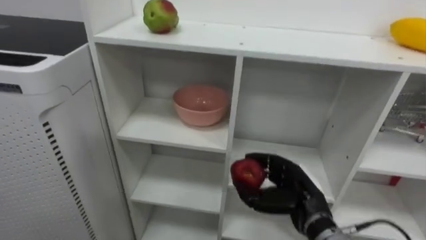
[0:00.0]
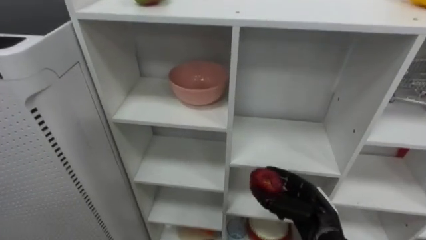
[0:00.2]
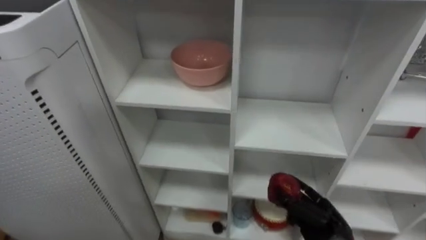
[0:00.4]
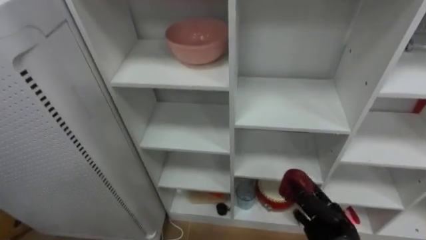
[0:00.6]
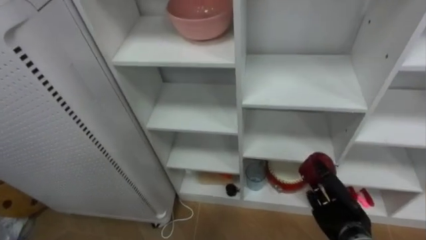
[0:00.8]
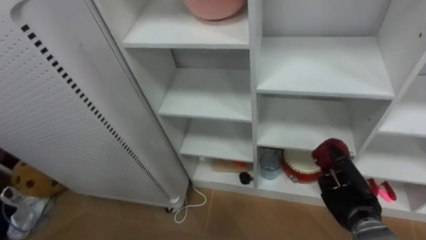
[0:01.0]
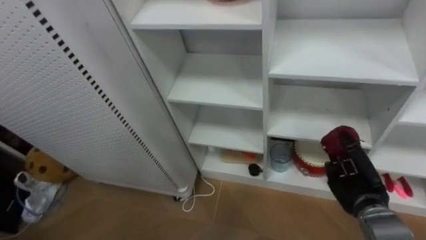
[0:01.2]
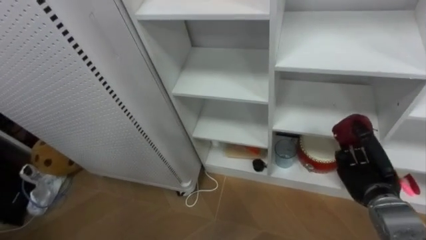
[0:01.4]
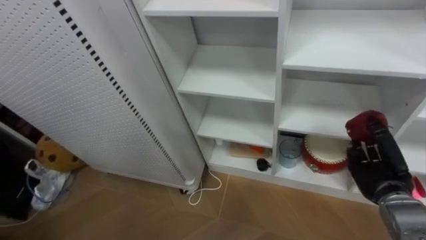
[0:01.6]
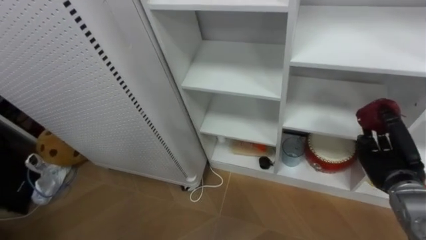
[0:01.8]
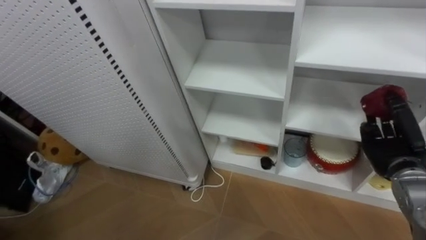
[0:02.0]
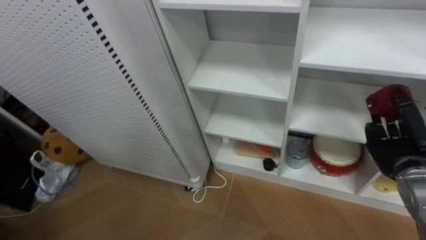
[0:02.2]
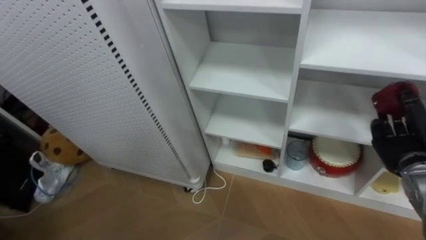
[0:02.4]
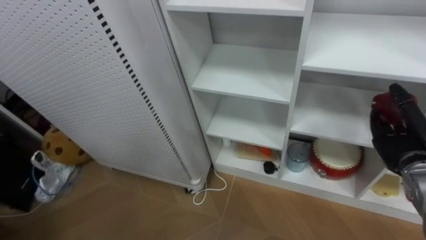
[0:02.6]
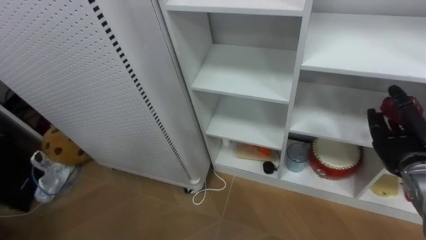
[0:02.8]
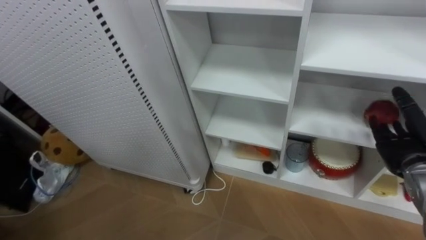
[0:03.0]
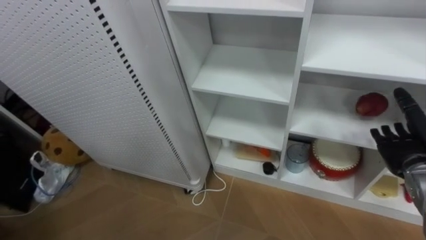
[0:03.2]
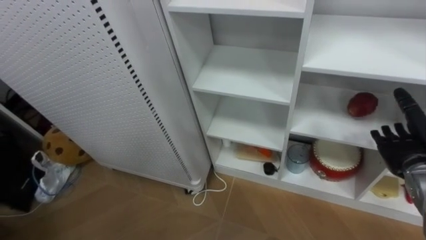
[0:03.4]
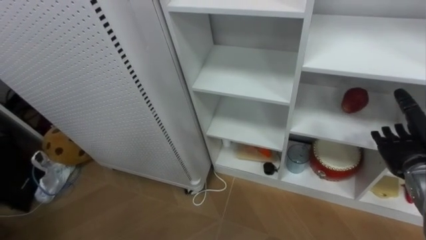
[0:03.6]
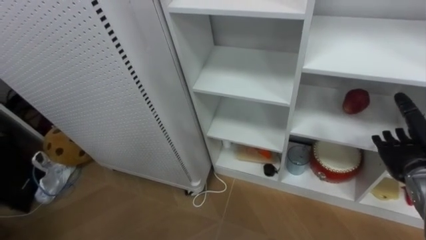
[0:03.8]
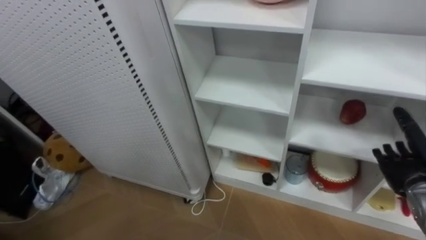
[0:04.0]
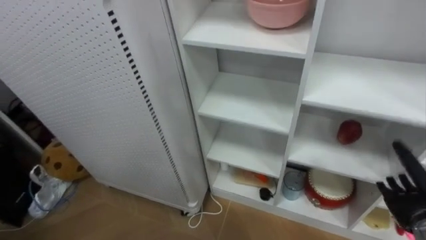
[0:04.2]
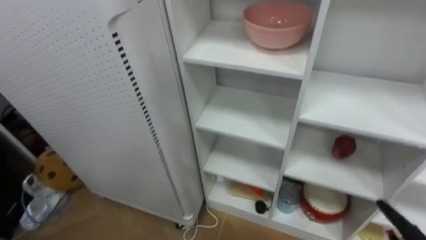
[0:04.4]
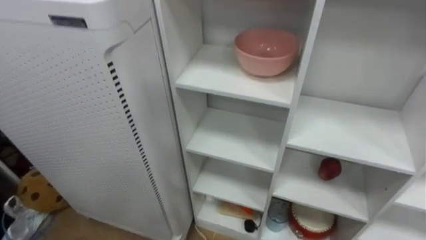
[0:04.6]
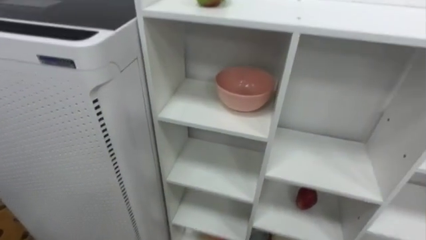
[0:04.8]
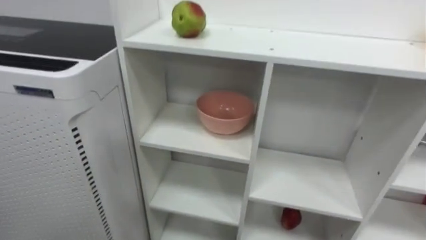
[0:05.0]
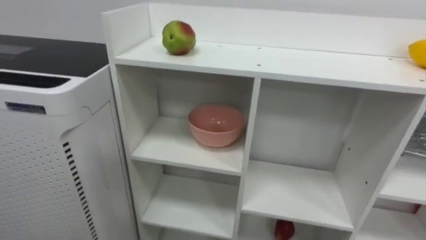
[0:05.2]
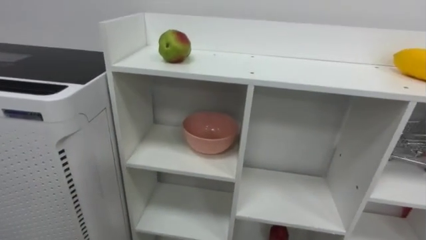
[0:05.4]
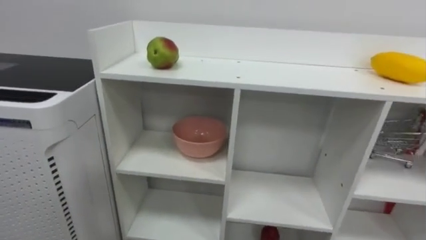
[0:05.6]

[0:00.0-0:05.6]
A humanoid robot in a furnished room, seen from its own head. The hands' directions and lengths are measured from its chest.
Task of the whole recording: Put the apple in the cell in the second column from the left and the second row from the top.
0:00.0 to 0:01.4: The right hand moves to the right, roughly 15 cm.
0:01.4 to 0:02.8: The right hand goes some 10 cm upward and to the right, and opens its fingers.
0:02.8 to 0:04.2: The right hand shifts approximately 10 cm downward.

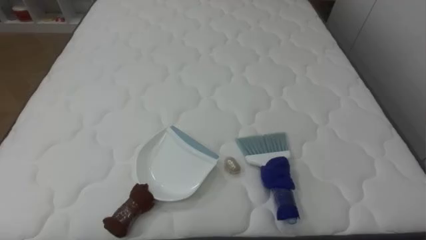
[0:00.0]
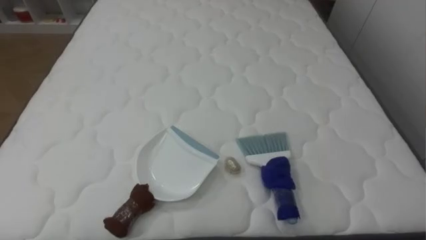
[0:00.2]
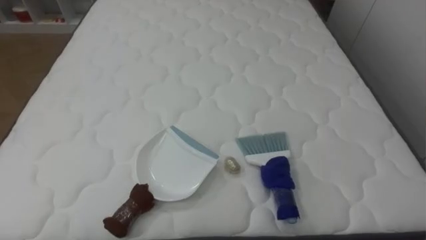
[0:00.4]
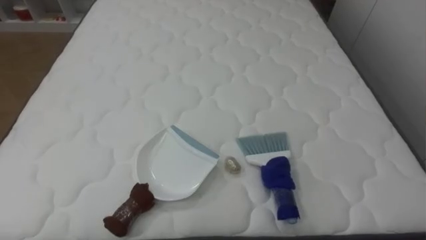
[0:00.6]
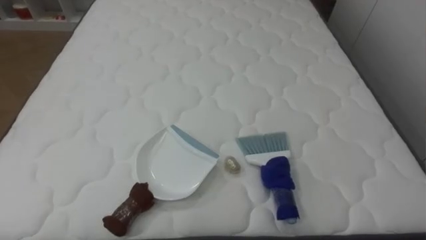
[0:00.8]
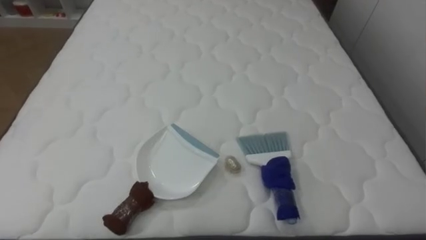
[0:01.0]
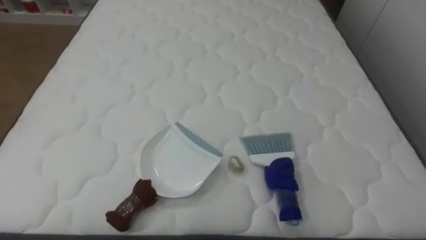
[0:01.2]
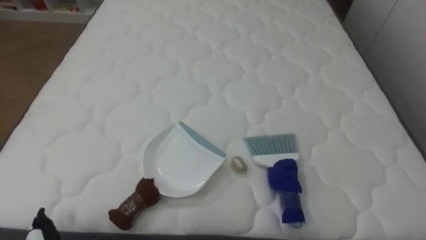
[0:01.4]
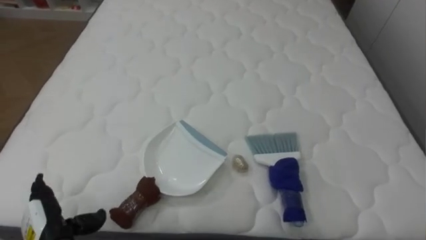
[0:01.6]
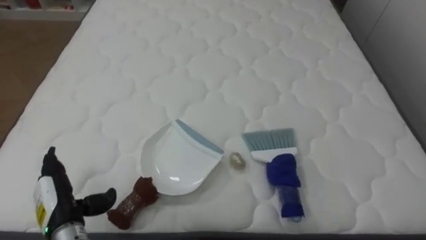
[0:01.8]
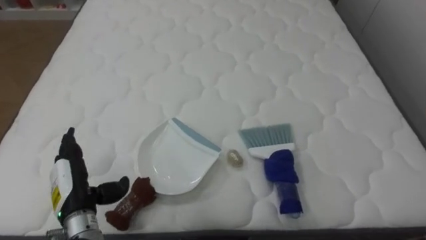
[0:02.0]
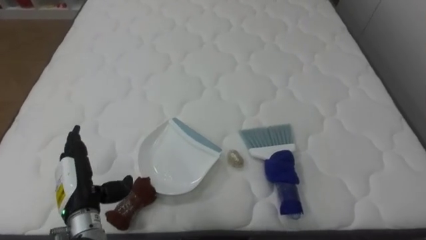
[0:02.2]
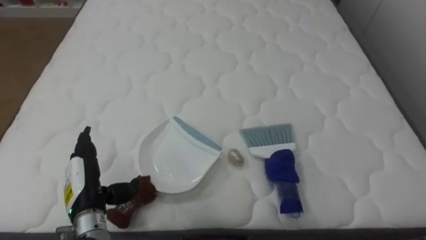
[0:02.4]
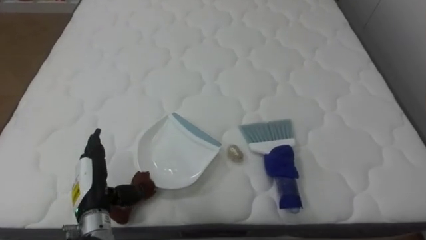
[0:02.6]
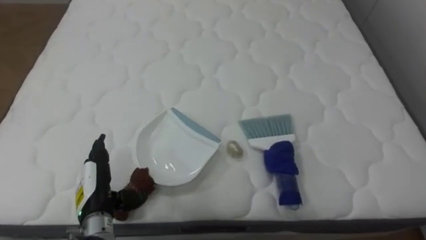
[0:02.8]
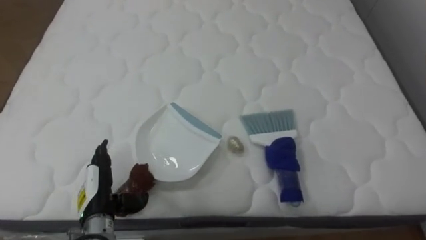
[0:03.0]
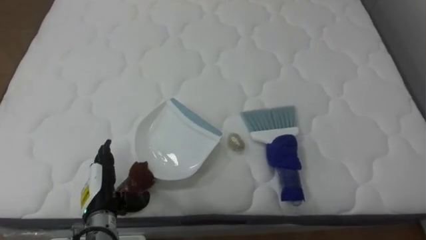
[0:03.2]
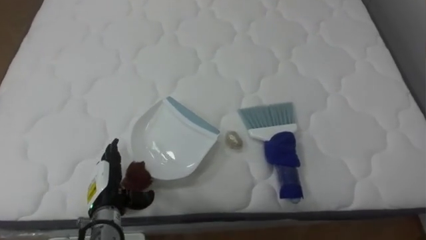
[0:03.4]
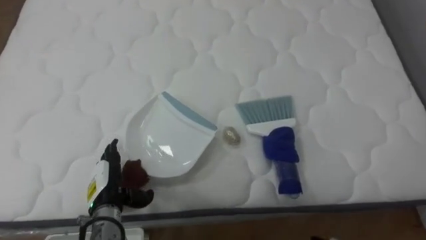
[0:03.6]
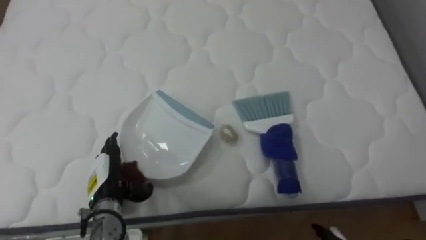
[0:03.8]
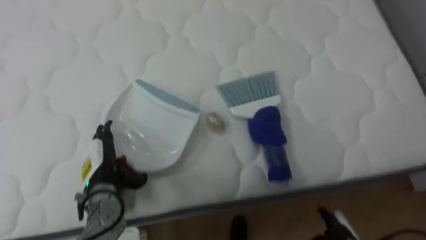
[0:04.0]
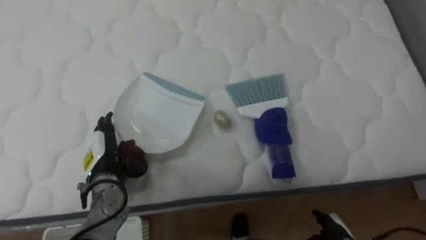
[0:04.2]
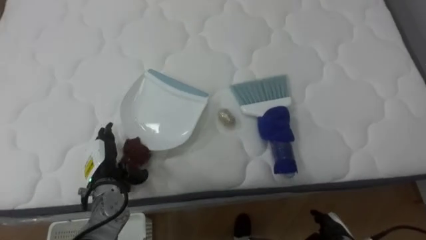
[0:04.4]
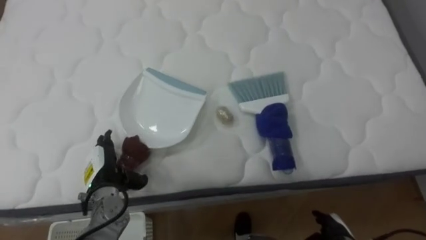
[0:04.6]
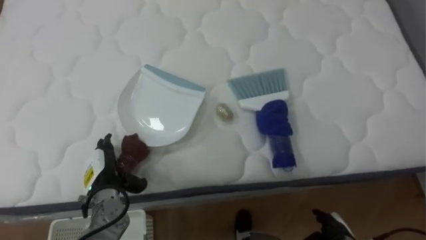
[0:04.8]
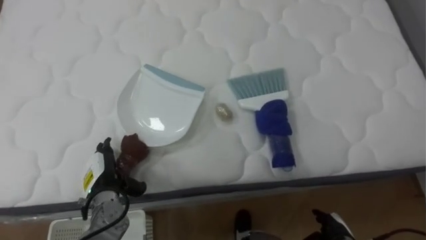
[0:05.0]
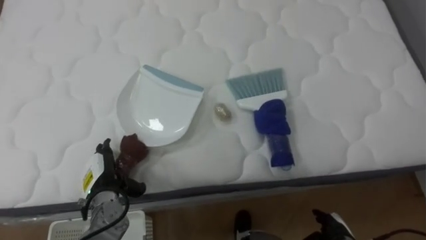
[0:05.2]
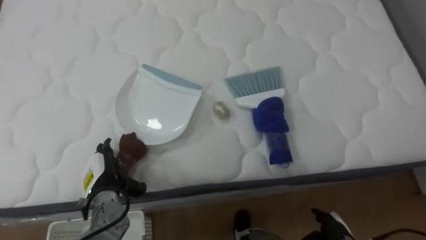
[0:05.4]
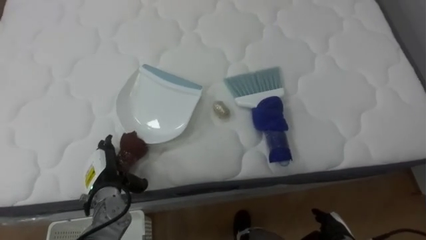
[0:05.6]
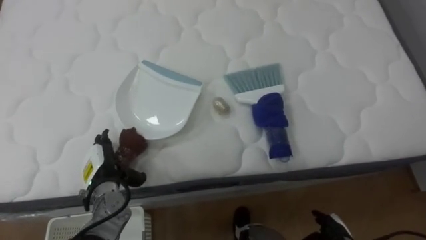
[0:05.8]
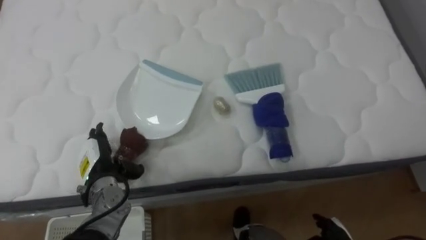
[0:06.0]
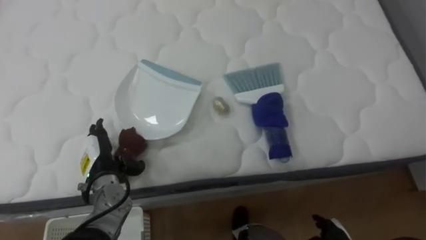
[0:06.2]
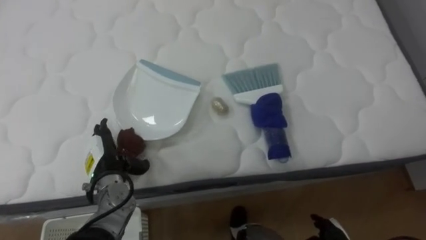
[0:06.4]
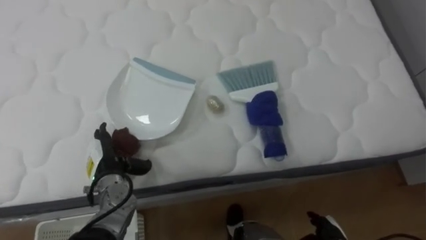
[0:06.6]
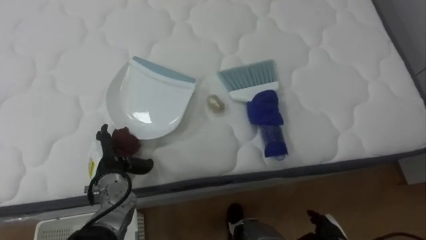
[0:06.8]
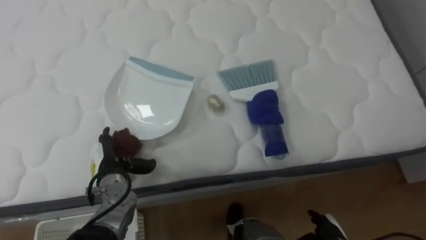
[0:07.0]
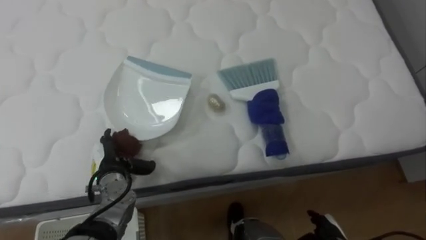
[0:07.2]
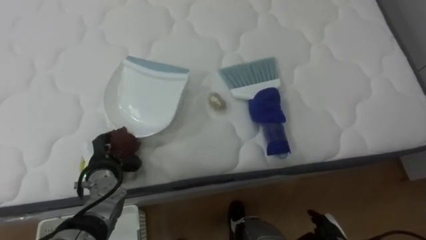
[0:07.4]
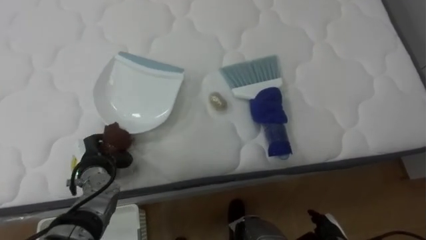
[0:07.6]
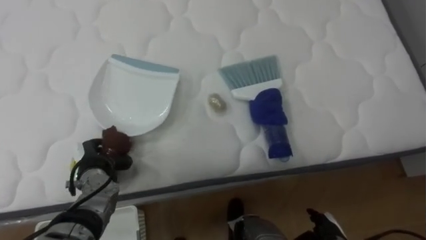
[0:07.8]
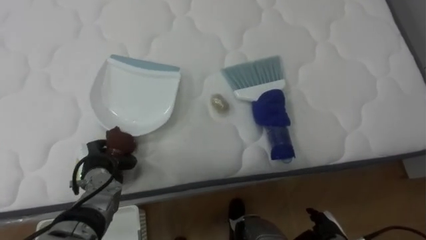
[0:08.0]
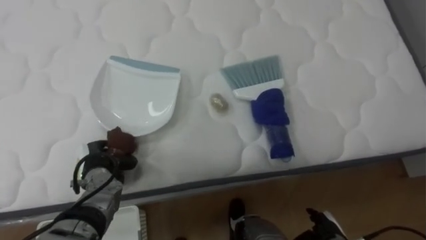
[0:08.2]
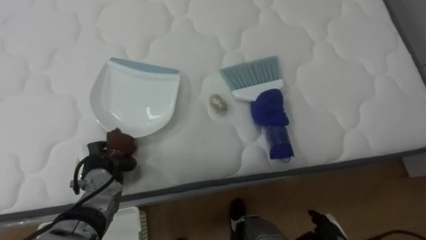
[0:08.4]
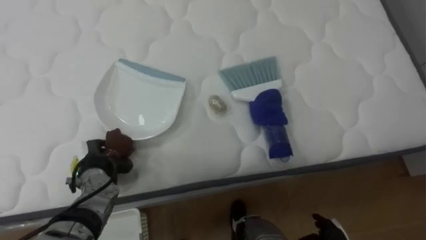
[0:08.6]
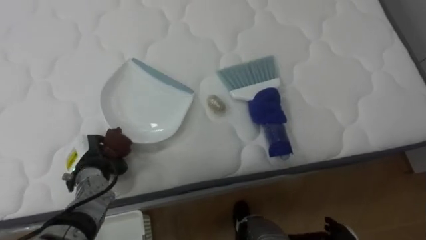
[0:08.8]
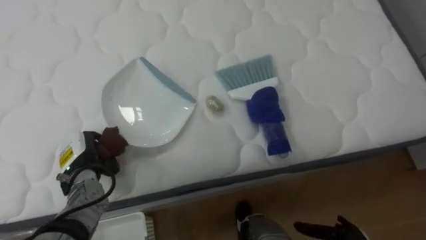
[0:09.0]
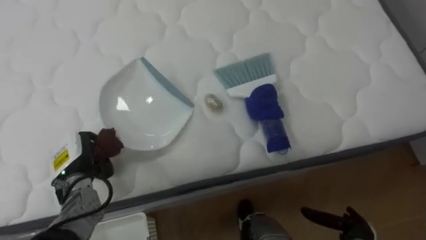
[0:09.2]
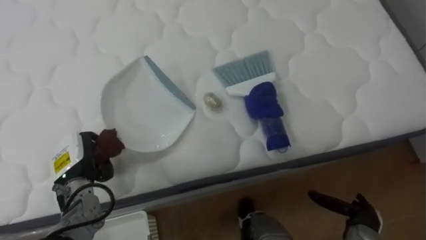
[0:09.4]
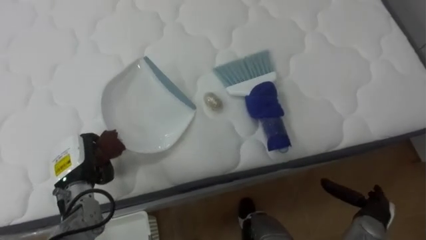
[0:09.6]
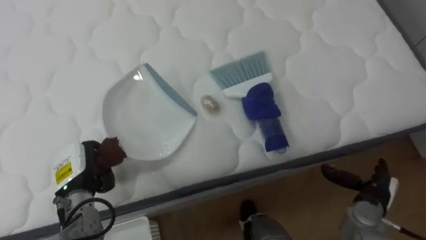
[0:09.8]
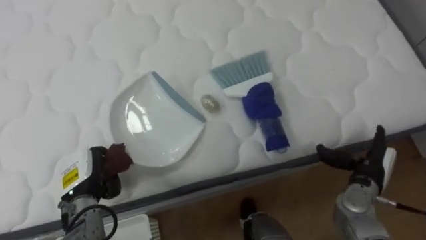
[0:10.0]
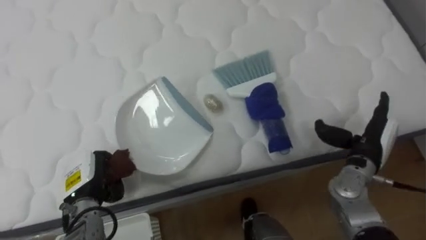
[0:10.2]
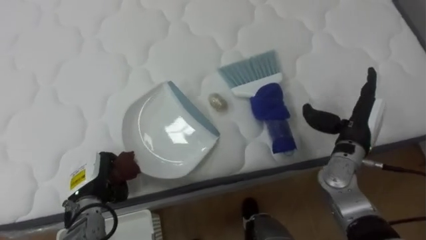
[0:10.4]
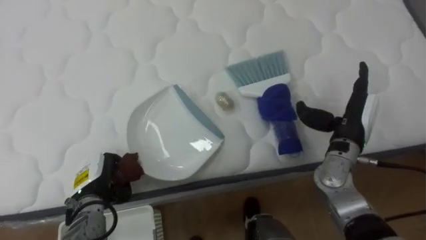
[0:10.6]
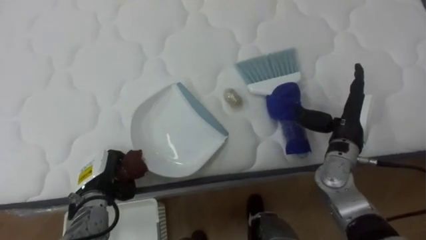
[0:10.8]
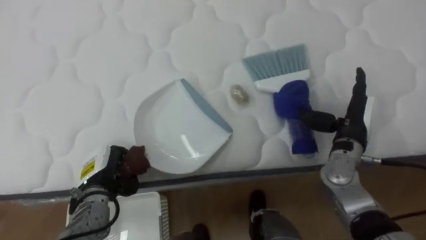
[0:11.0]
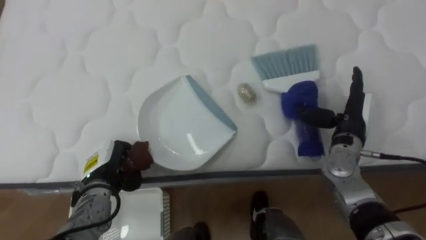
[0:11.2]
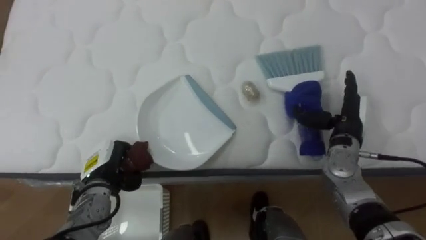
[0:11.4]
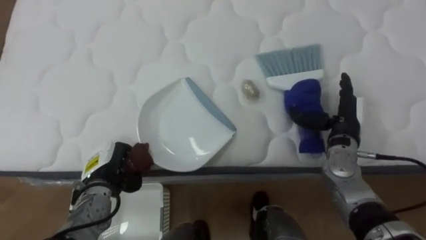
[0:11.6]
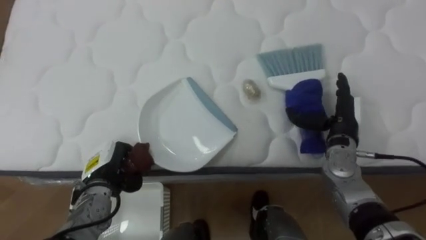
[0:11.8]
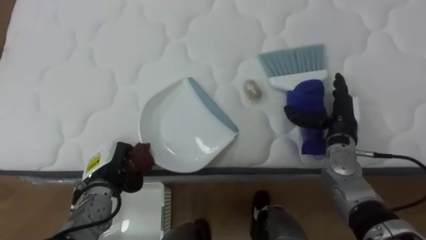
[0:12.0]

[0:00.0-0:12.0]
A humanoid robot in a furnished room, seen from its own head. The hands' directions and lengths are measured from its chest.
Task of the whole recording: Pick up the brush on your right and the dustpan on your left. Use the brush to sweep the crumpled paper on the bed into the dustpan, then turn left and empty it into the basket.
0:01.6 to 0:03.0: The left hand travels to the right and forward by about 10 cm.
0:03.0 to 0:04.4: The left hand is displaced forward by some 5 cm.
0:06.0 to 0:07.6: The left hand closes up.
0:09.0 to 0:10.4: The left hand moves about 5 cm.
